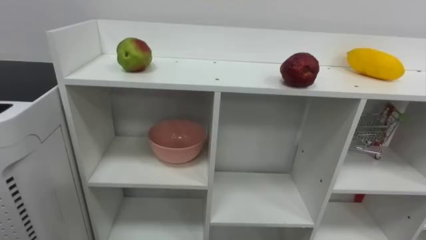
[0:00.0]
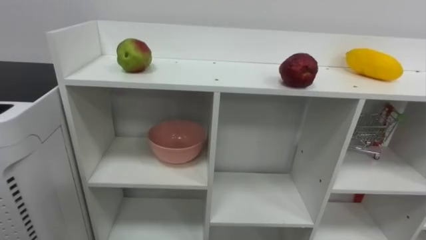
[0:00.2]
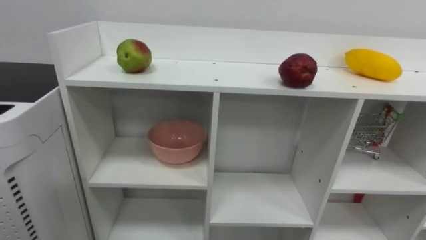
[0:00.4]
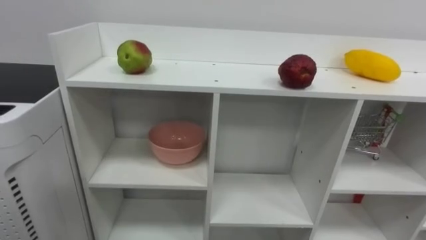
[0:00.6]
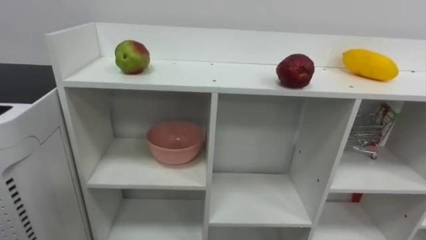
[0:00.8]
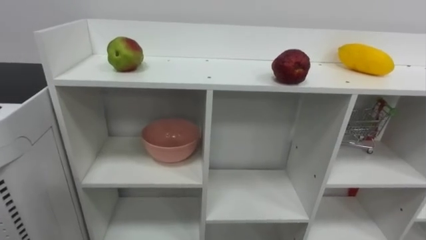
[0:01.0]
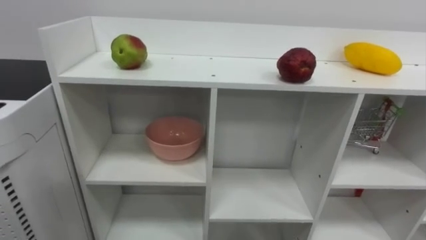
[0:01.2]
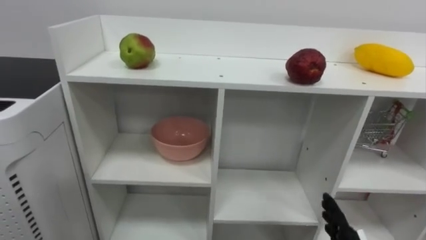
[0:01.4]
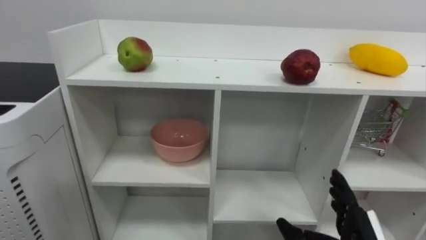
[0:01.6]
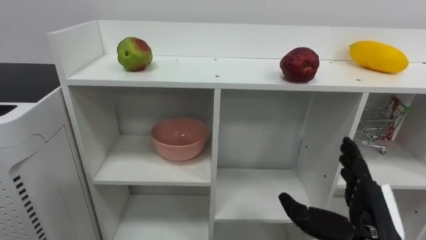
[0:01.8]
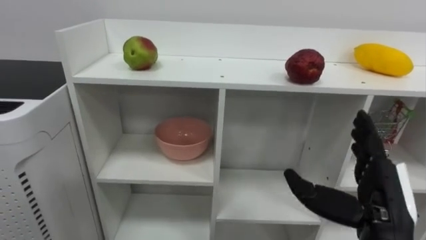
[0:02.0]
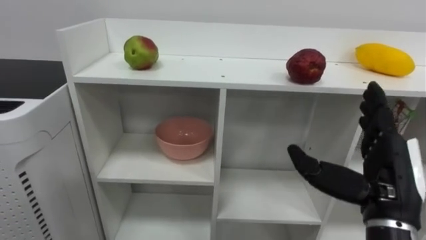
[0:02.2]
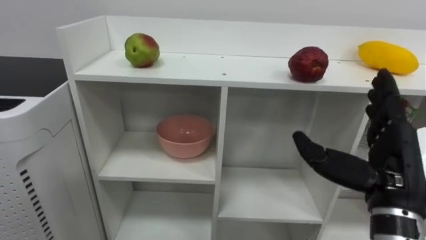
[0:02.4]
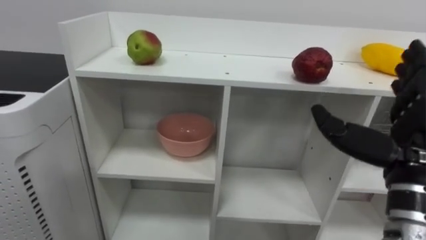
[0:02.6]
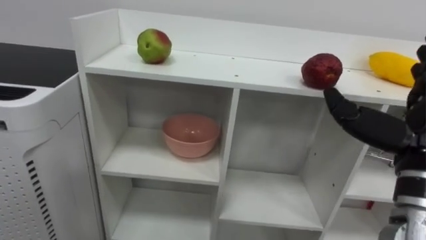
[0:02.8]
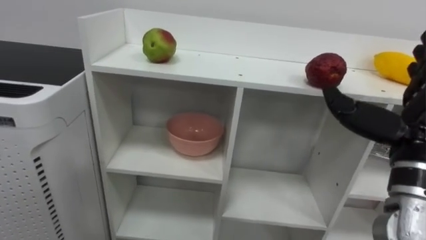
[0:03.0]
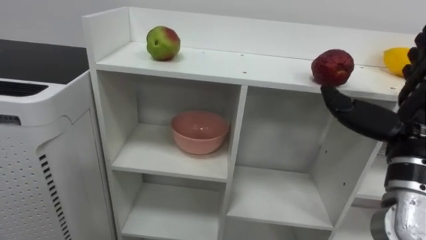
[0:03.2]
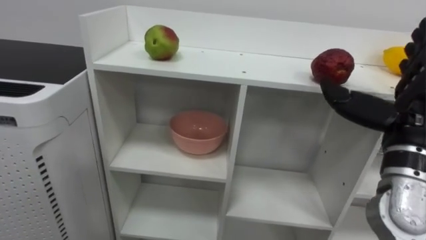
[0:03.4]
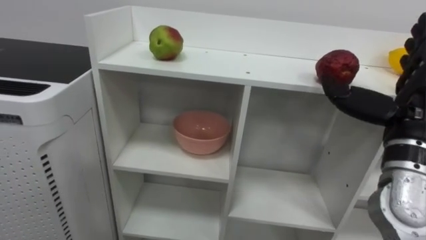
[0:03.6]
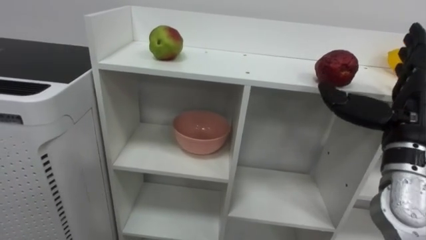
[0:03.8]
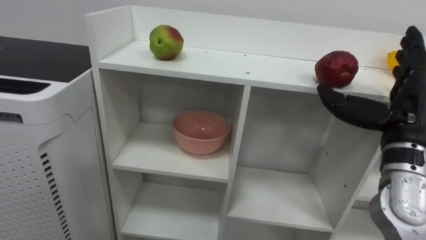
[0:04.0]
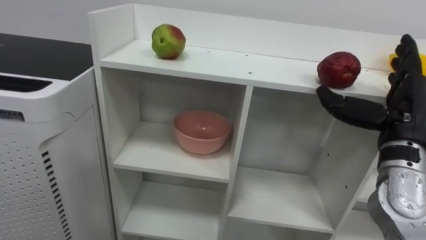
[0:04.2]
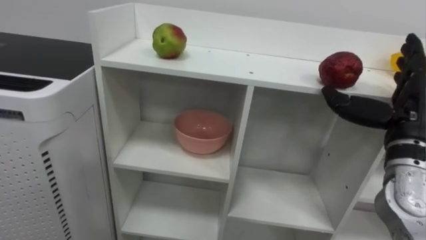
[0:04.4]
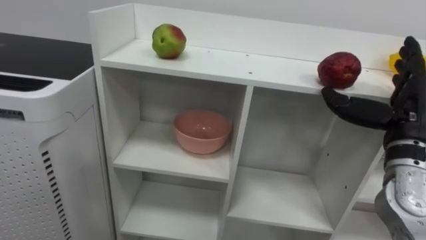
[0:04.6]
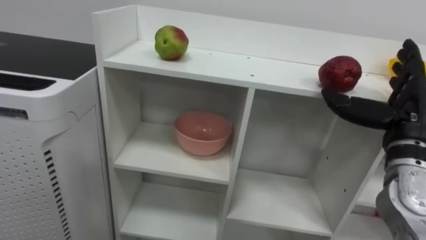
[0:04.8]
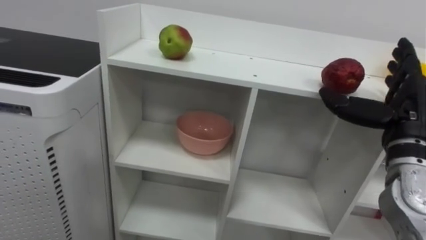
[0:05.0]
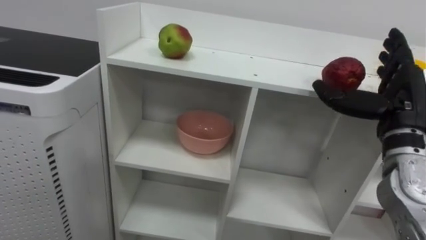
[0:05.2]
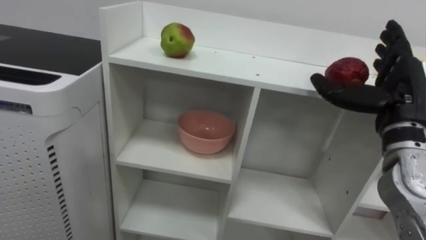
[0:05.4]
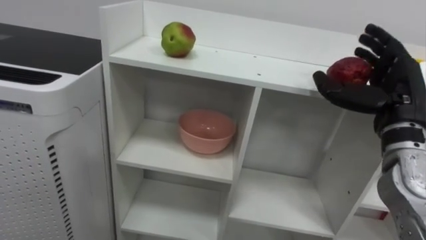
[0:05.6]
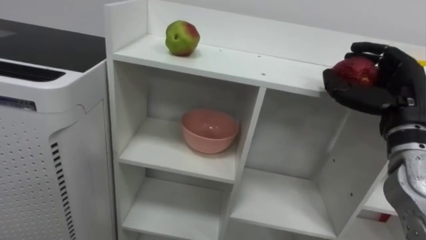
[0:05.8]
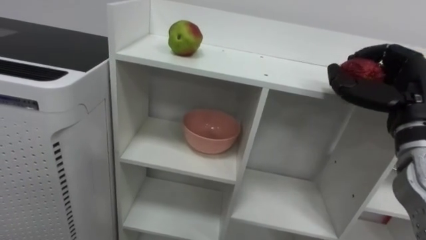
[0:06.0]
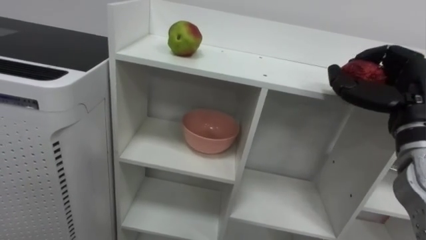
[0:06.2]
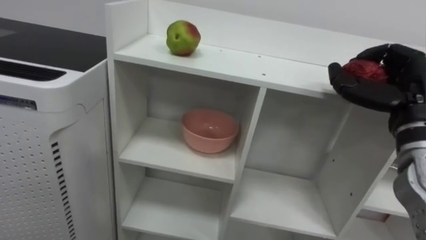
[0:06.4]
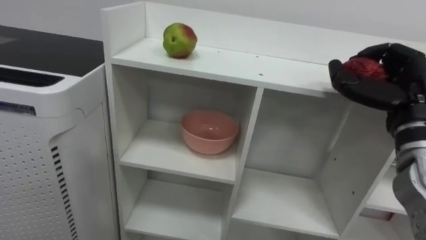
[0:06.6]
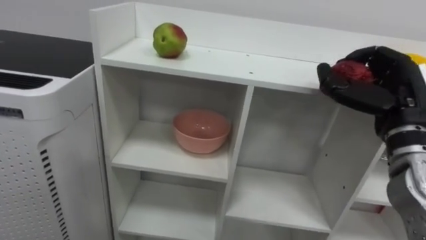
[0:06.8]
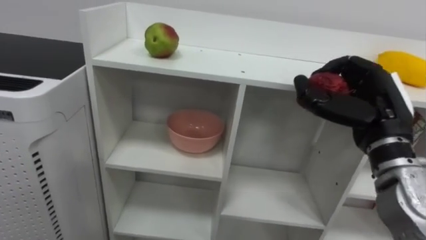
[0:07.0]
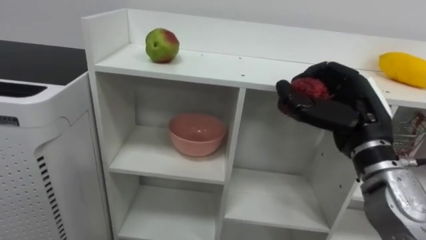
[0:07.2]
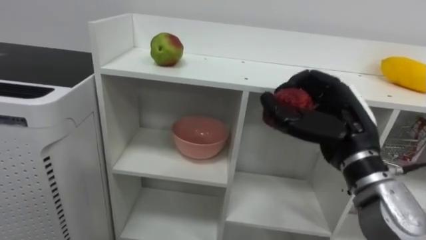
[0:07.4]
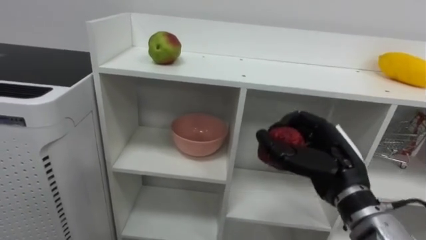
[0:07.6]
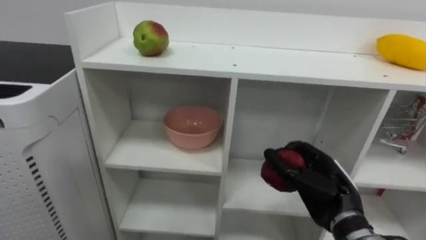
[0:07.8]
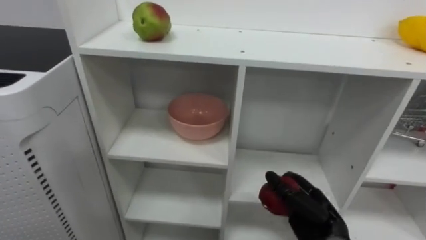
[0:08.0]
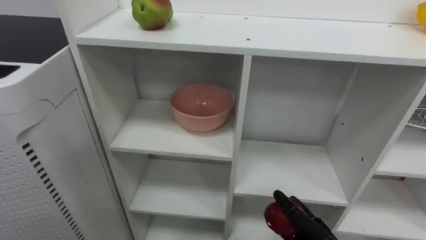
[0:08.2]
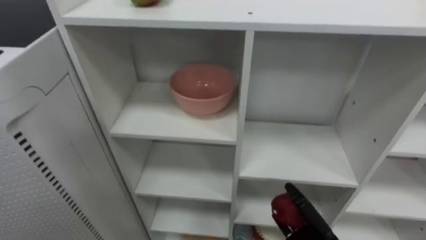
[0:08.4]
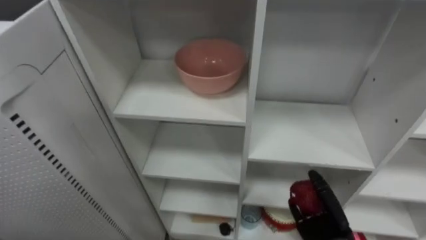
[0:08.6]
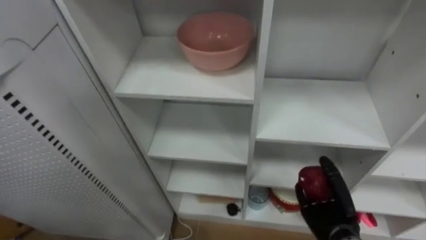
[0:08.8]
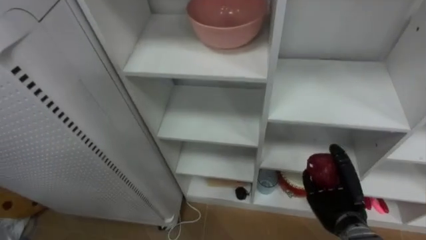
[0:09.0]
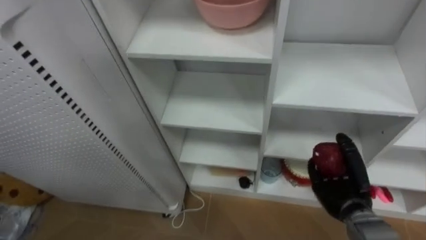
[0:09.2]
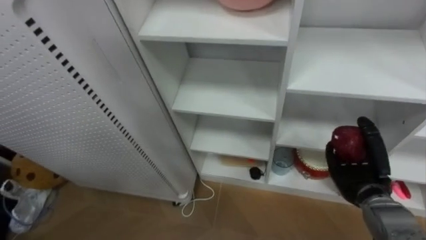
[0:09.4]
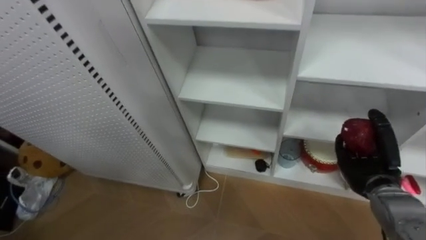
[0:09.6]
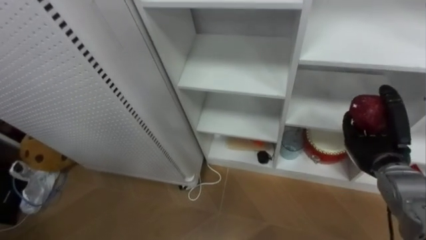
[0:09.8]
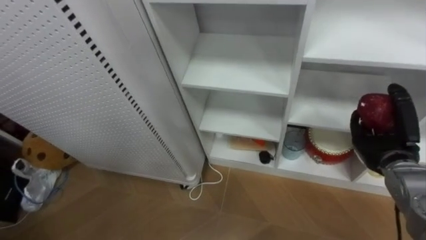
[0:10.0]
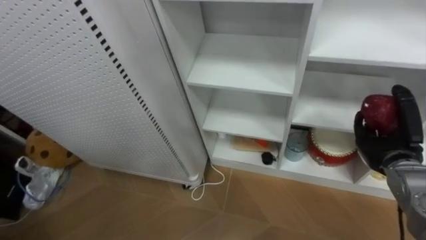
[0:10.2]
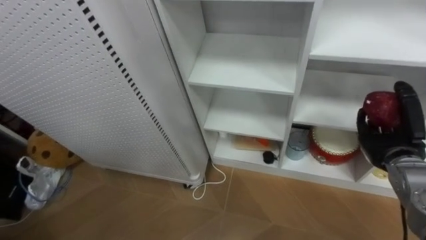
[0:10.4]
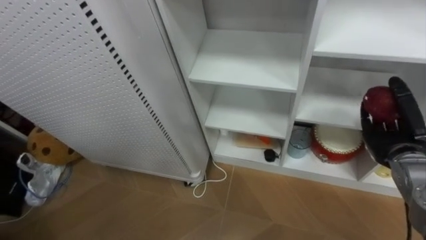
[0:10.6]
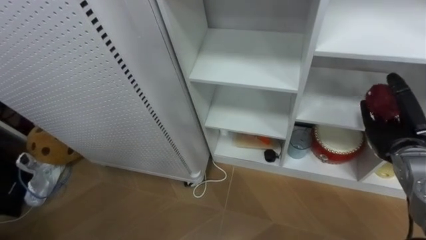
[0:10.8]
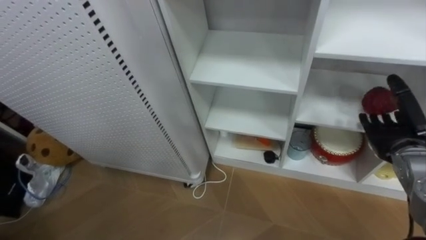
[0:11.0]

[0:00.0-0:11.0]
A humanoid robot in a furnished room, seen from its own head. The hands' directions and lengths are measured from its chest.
Task of the whole recording: Put the apple in the cell in the second column from the left and the second row from the top.
0:03.2 to 0:04.8: The right hand moves roughly 5 cm.
0:04.8 to 0:06.2: The right hand closes.
0:06.2 to 0:07.8: The right hand travels downward and to the left by some 15 cm.
0:09.4 to 0:11.0: The right hand is displaced upward and to the right by about 10 cm, and opens up.

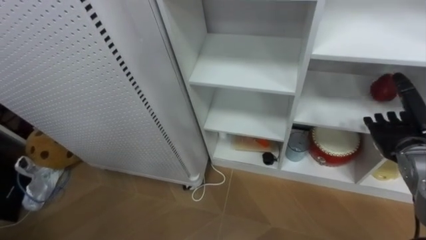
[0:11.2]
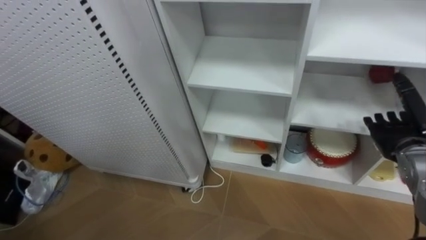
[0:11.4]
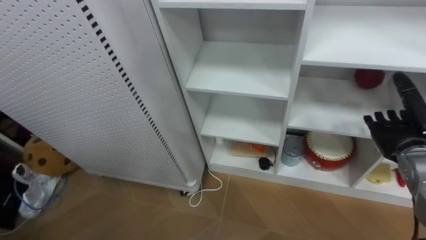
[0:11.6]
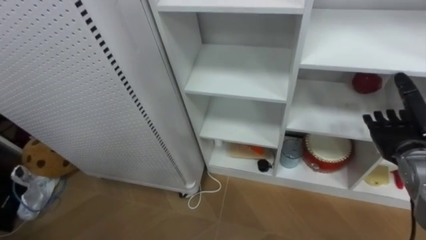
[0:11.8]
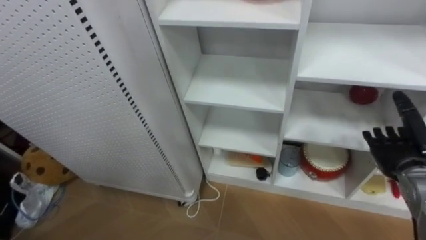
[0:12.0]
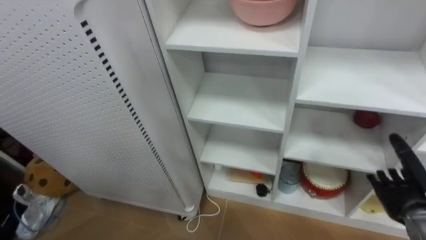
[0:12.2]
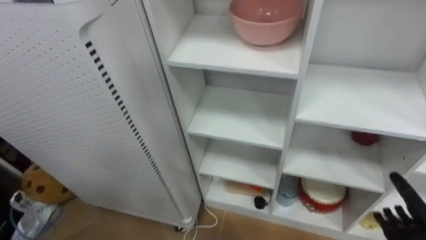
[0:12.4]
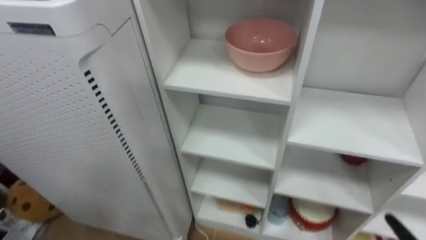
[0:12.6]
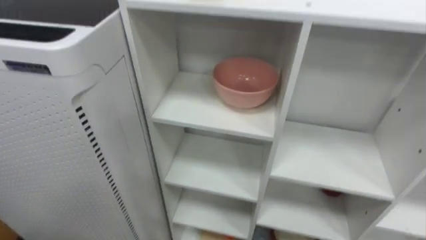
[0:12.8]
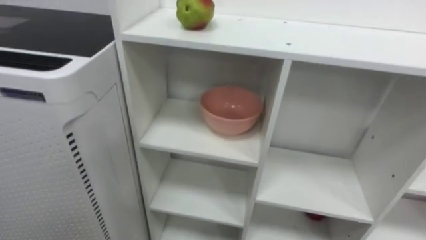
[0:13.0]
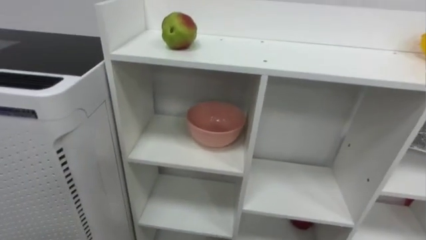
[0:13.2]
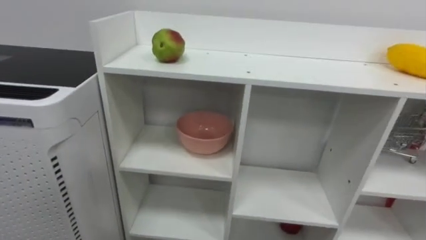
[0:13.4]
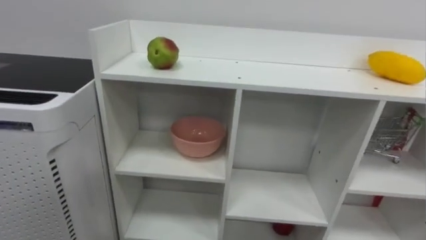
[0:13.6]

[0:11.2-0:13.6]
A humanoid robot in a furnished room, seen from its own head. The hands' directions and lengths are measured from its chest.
Task of the whole recording: Put the apple in the cell in the second column from the left and the second row from the top.
0:11.2 to 0:12.4: The right hand goes some 20 cm downward and backward.

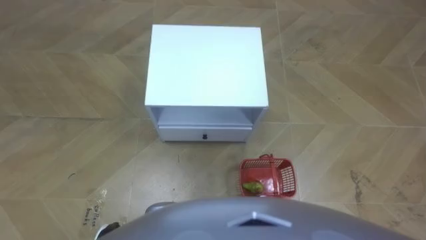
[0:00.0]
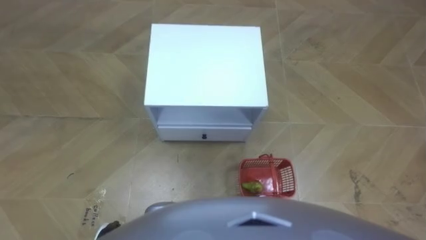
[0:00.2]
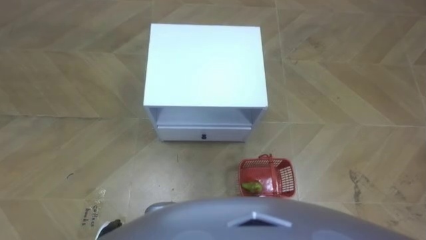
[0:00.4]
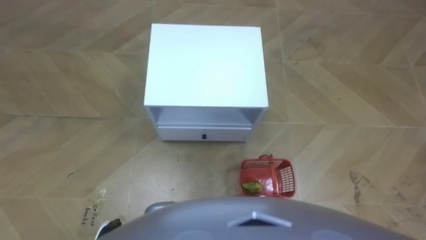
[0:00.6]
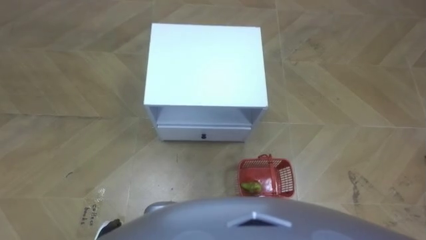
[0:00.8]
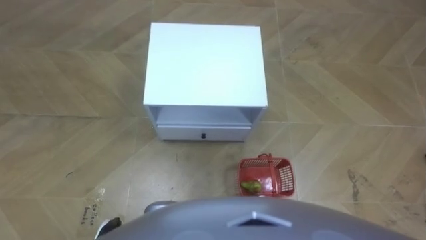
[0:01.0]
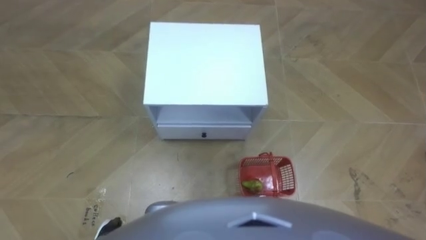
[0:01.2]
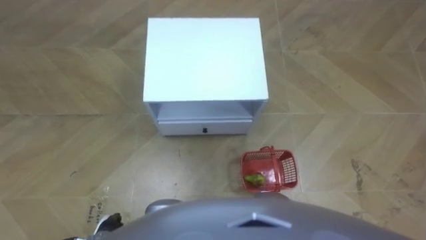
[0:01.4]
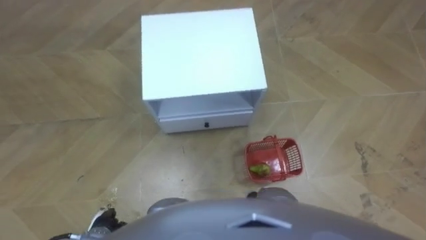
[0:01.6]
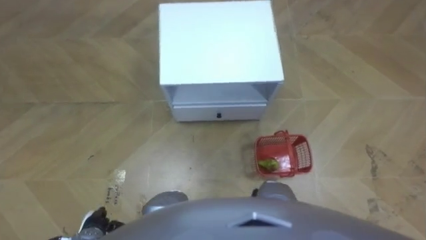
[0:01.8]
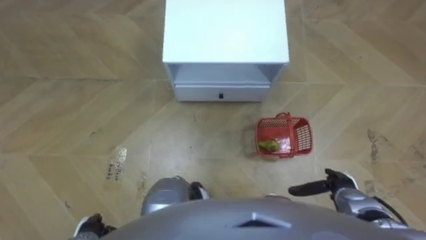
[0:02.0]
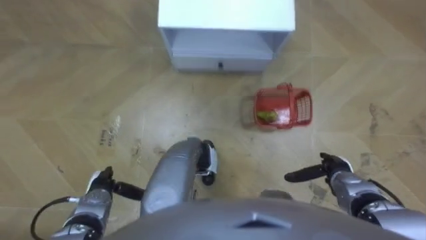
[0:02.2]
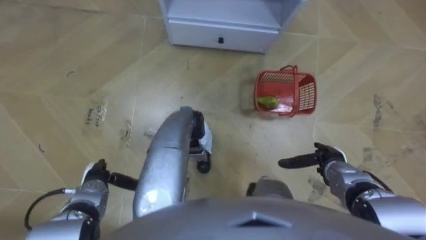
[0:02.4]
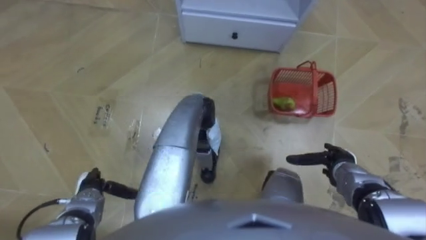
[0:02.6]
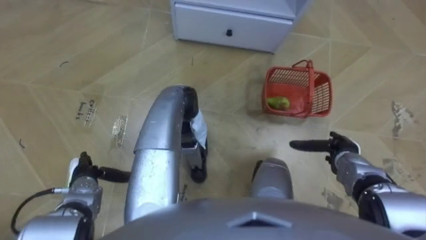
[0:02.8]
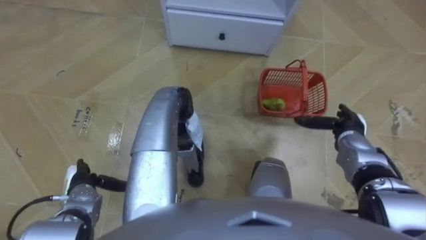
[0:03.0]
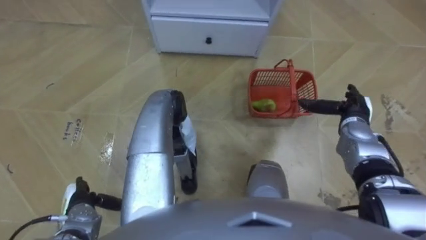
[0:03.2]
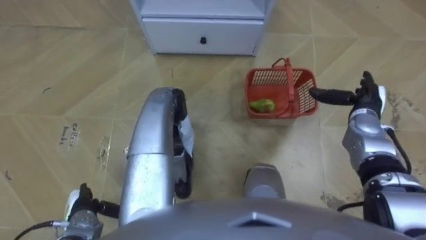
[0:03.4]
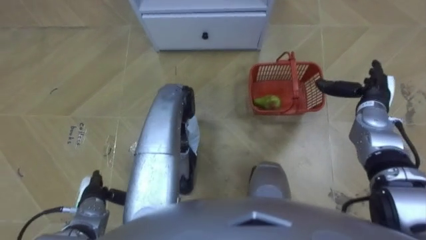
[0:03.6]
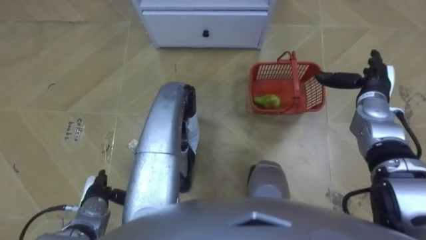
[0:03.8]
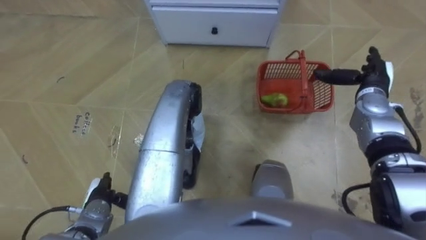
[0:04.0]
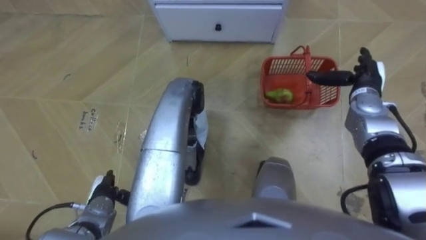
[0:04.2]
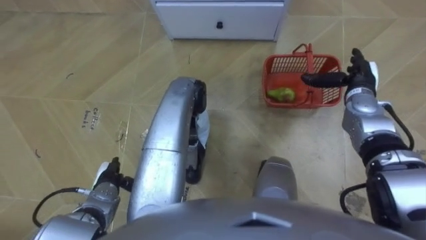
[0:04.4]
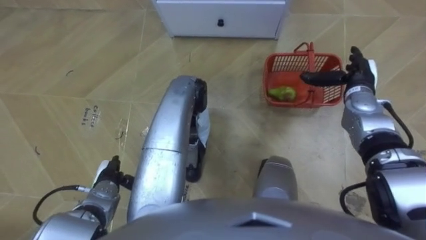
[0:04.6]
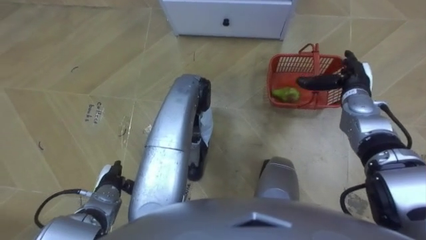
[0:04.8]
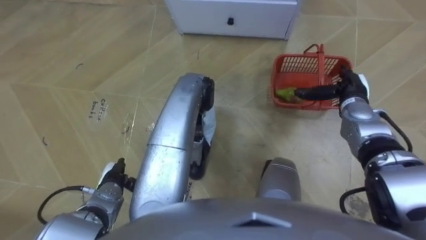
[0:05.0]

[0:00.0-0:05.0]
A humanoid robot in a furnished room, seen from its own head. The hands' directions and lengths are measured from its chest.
Task of the whole recording: Pick up the fruit basket from the floor and place it on the cabinet.
0:01.6 to 0:03.4: The right hand heads forward and upward, covering some 30 cm.
0:03.4 to 0:05.0: The left hand shifts roughly 10 cm to the right and forward.
